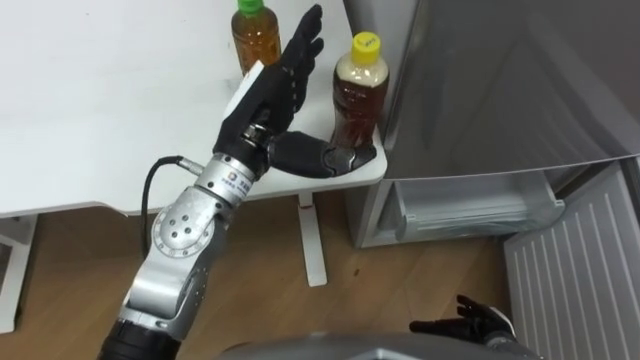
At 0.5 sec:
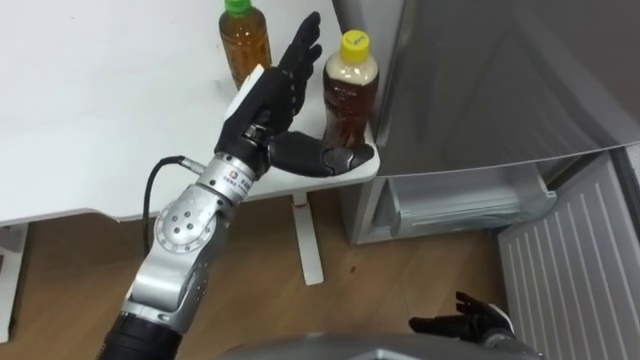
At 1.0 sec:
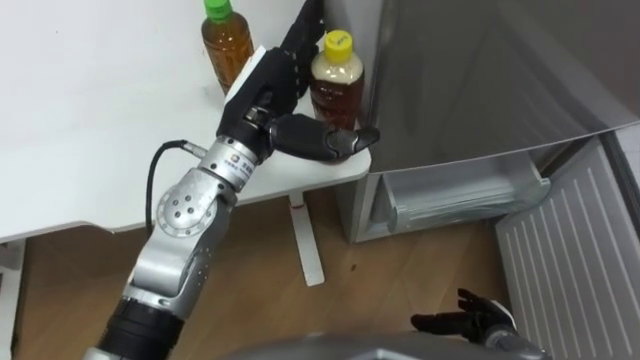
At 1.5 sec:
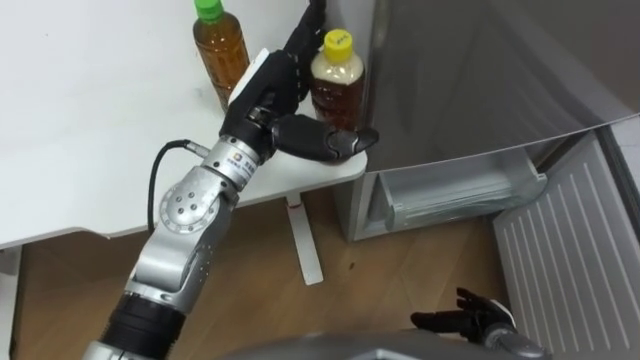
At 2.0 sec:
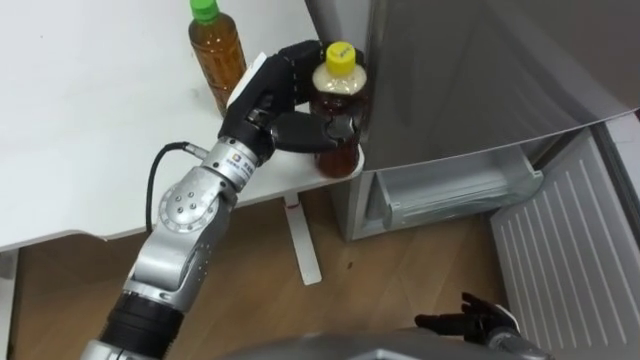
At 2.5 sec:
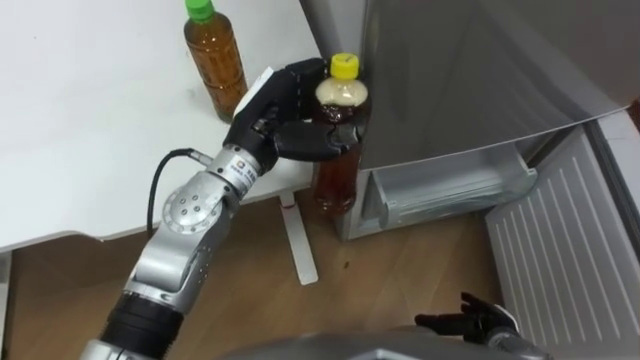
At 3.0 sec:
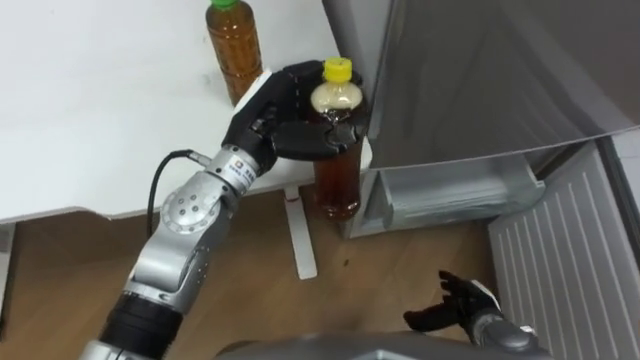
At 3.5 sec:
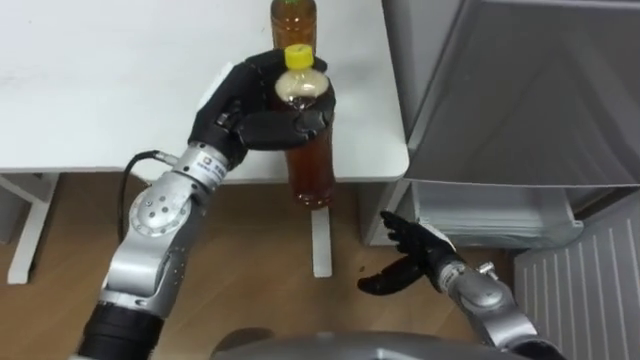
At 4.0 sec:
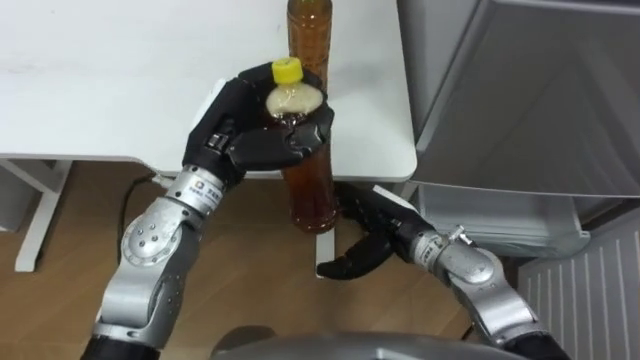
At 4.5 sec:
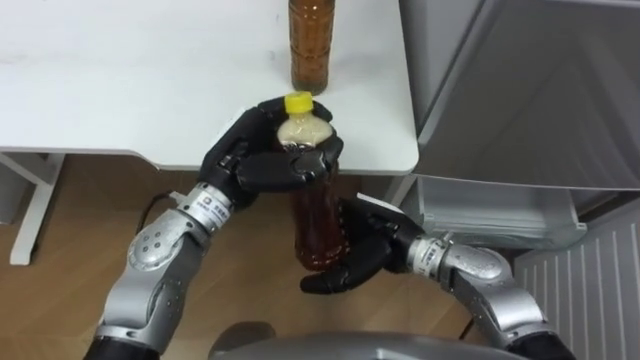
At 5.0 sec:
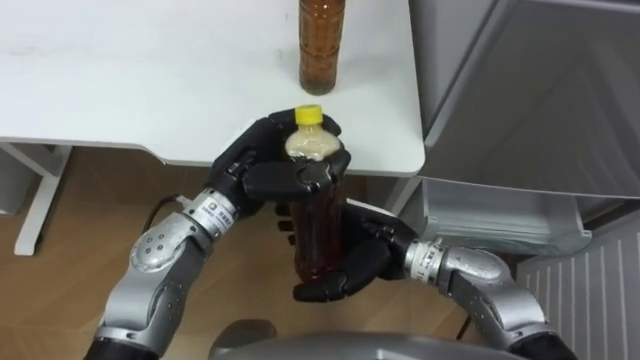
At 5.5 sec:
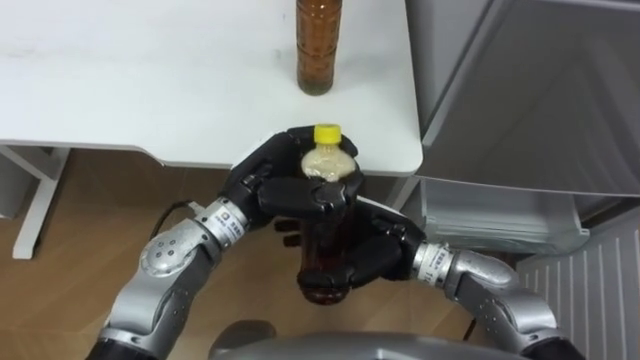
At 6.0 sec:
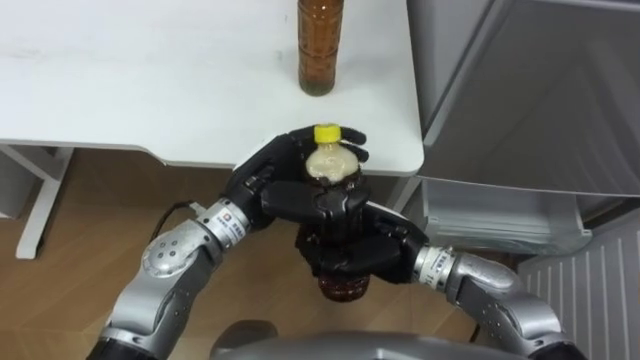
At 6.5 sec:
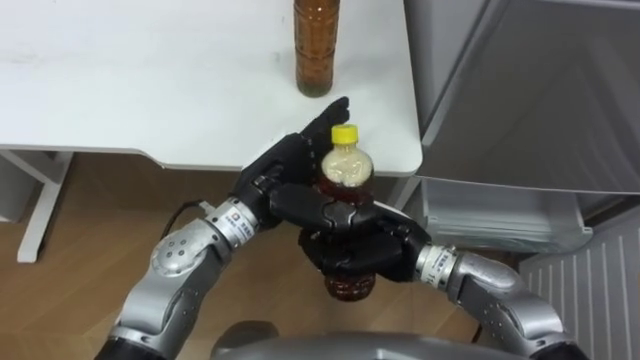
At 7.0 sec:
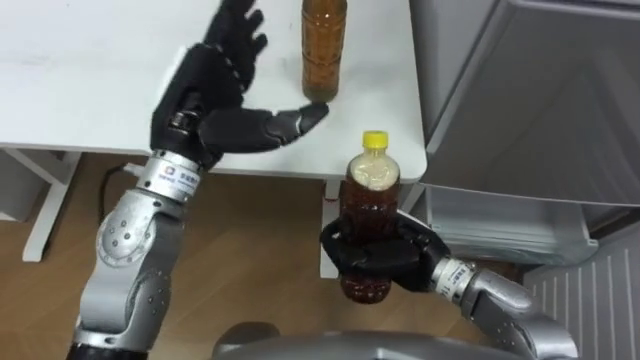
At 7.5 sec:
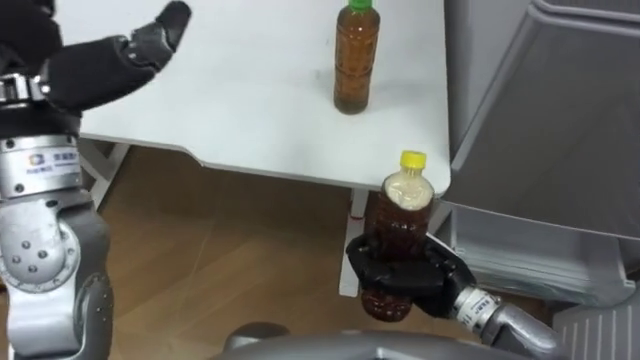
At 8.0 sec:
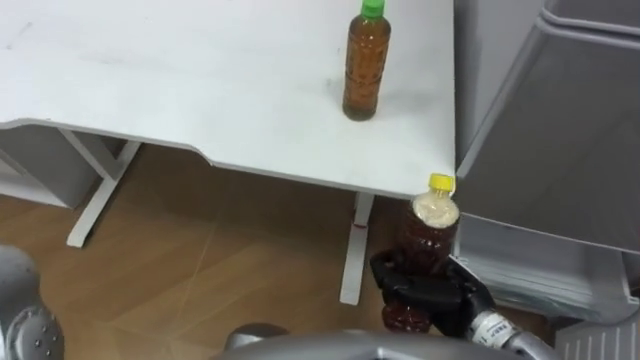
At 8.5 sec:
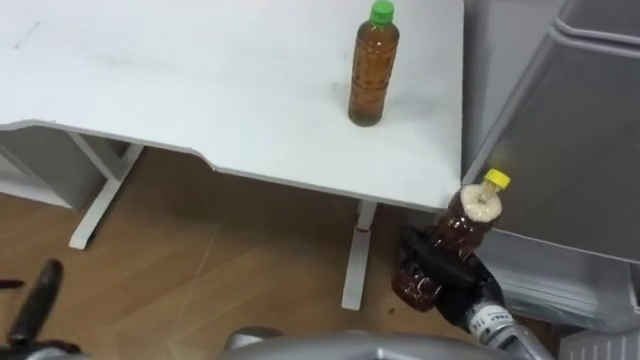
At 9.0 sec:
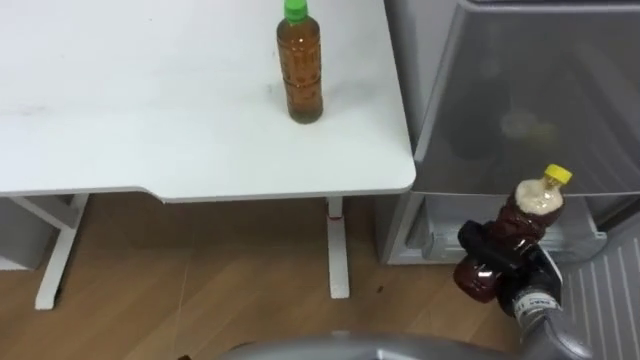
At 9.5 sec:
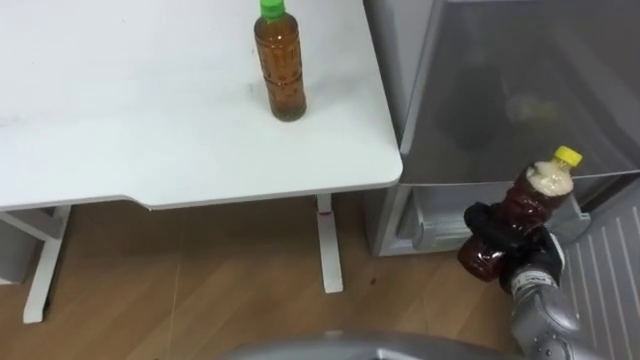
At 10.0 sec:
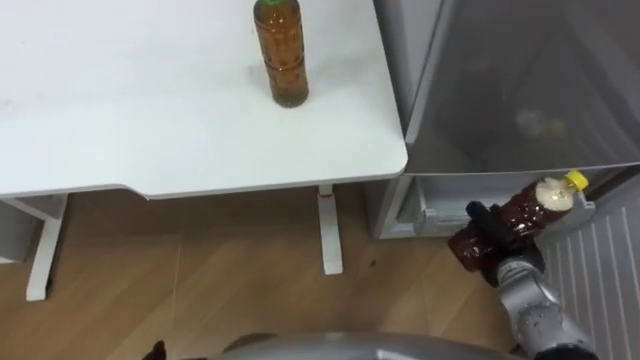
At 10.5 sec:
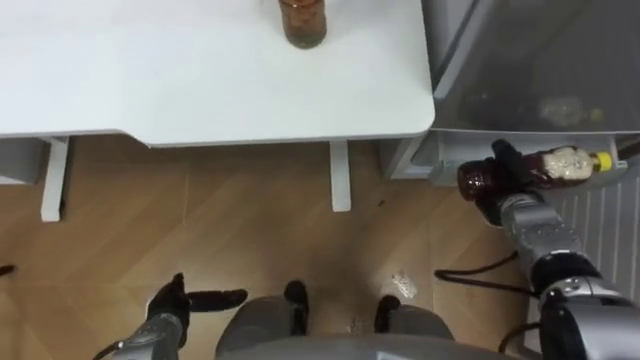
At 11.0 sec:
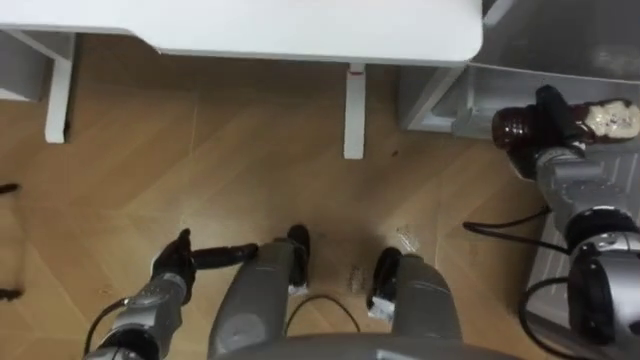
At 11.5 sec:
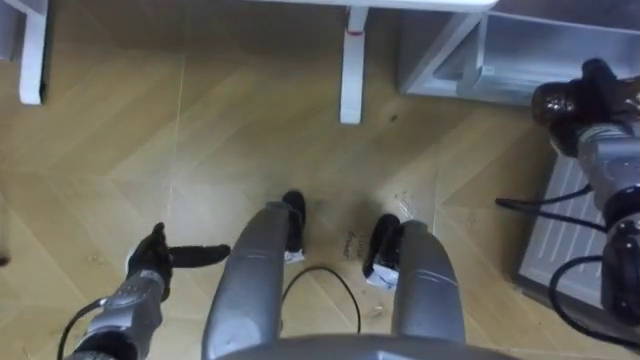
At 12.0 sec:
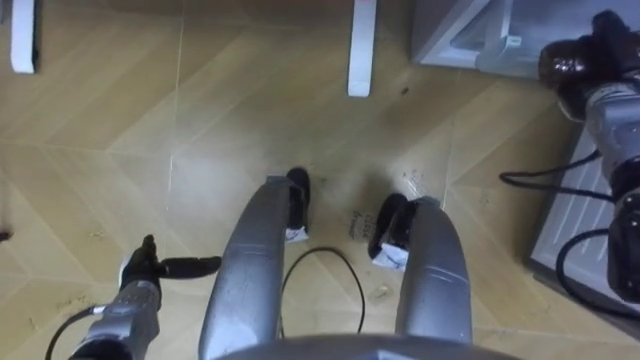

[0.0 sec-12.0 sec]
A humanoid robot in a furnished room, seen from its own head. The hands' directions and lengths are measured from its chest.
Task of the whole recording: Place the drink on the table on the bottom shelf of the refrigerator, then close the drawer and the refrigerator door.
0.0 sec to 2.0 sec: The left hand closes.
2.0 sec to 4.0 sec: The right hand is displaced to the left, forward and upward by roughly 25 cm.
4.0 sec to 6.0 sec: The right hand changes place by approximately 5 cm, and closes its fingers, while the left hand heads downward, covering approximately 5 cm.
6.0 sec to 8.0 sec: The right hand moves to the right, backward and downward, approximately 10 cm.
8.0 sec to 10.0 sec: The right hand travels to the right by approximately 10 cm.
10.0 sec to 12.0 sec: The right hand moves forward, upward and to the right, some 25 cm.

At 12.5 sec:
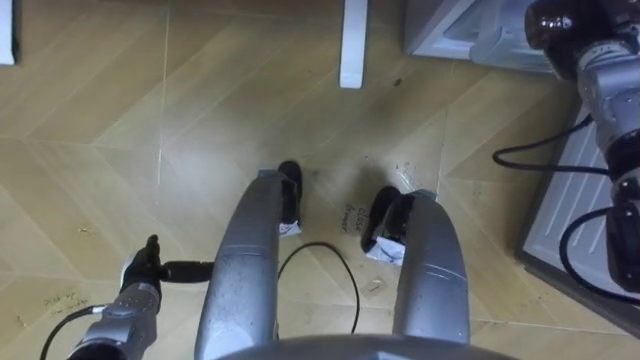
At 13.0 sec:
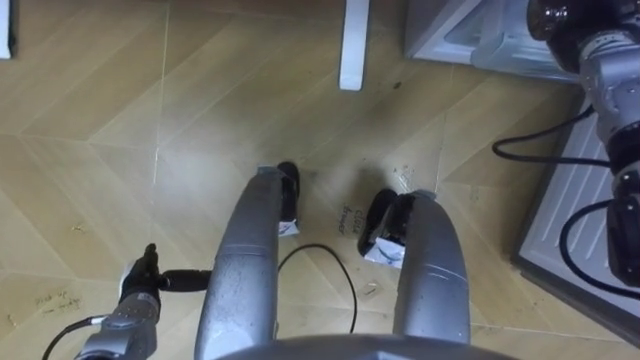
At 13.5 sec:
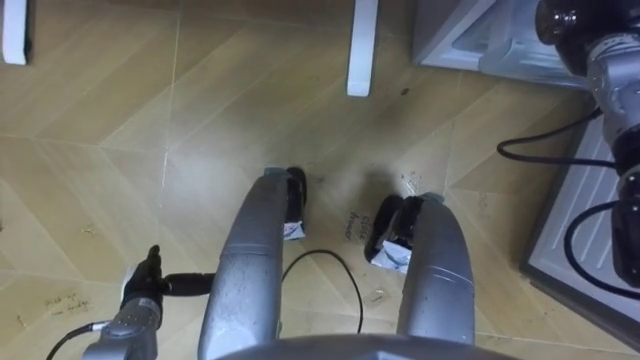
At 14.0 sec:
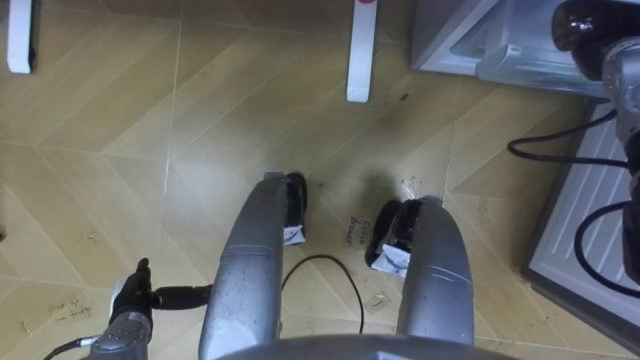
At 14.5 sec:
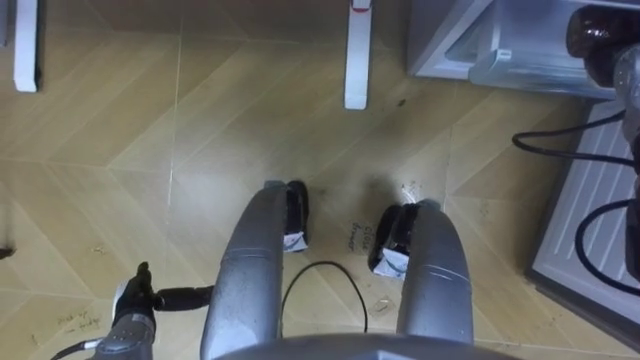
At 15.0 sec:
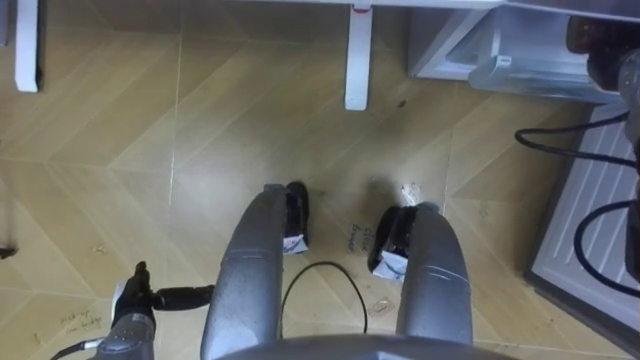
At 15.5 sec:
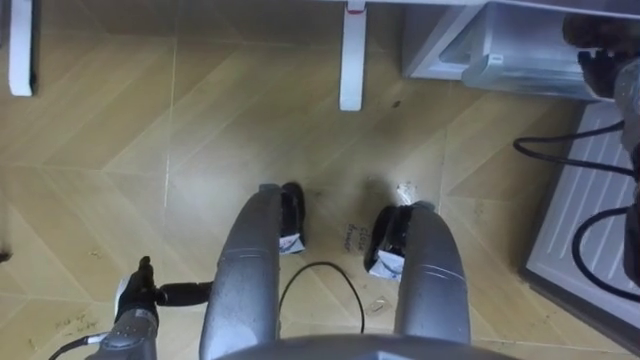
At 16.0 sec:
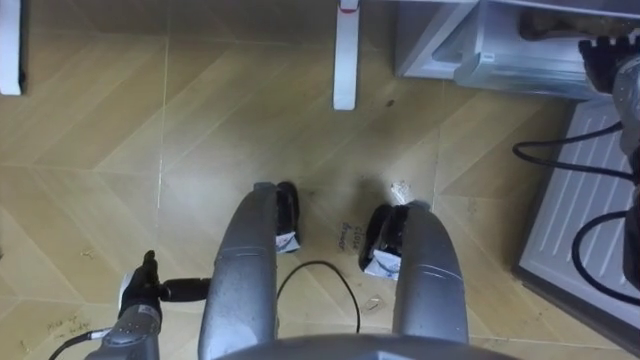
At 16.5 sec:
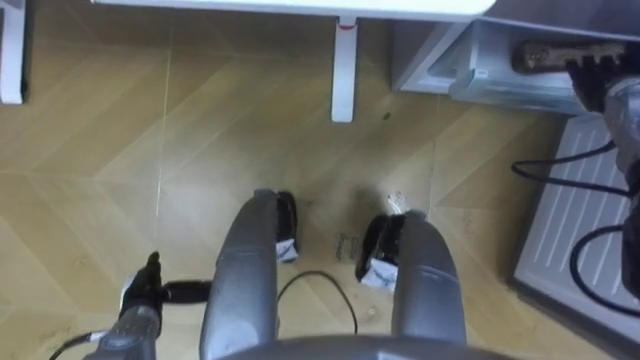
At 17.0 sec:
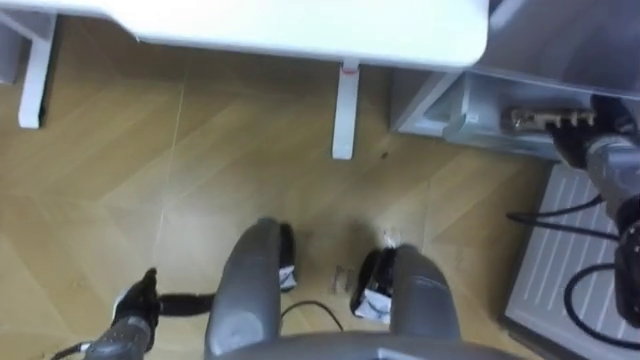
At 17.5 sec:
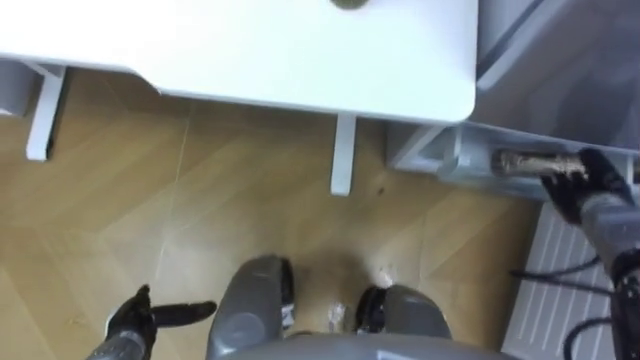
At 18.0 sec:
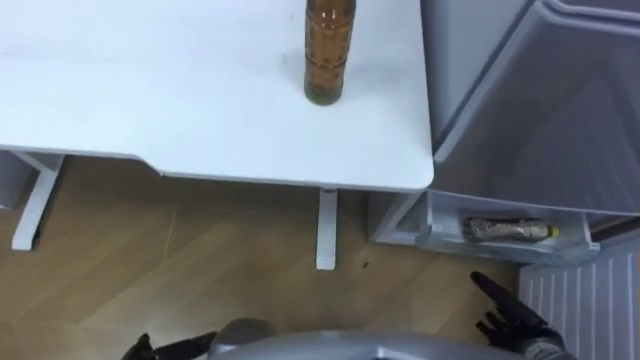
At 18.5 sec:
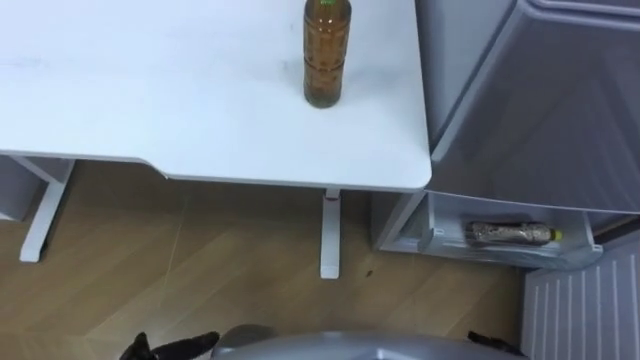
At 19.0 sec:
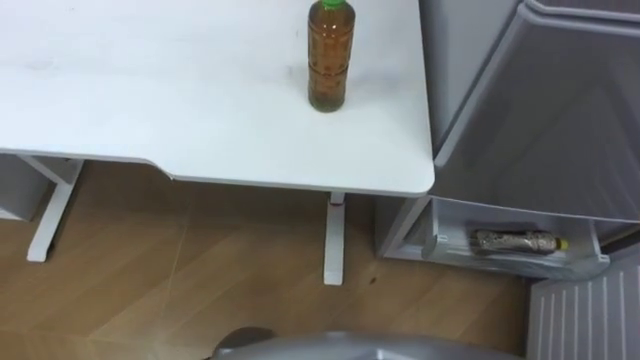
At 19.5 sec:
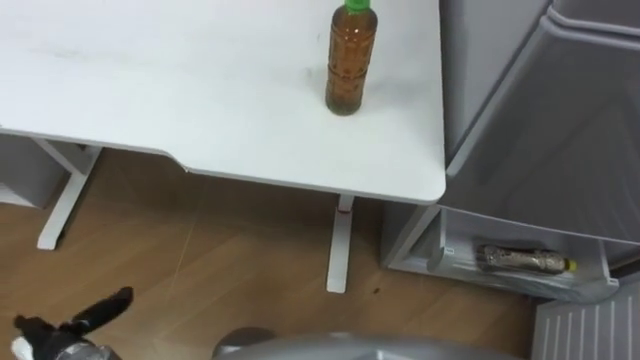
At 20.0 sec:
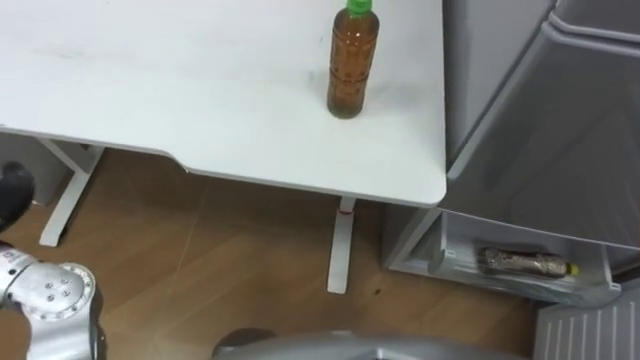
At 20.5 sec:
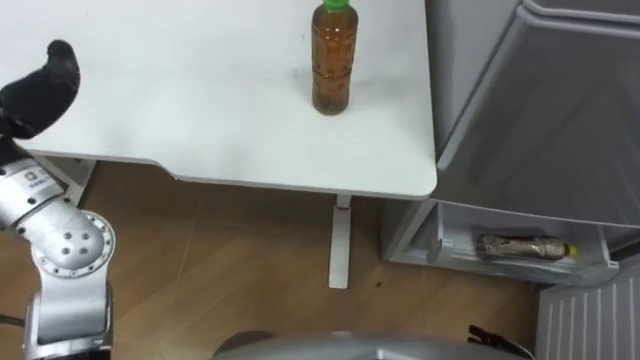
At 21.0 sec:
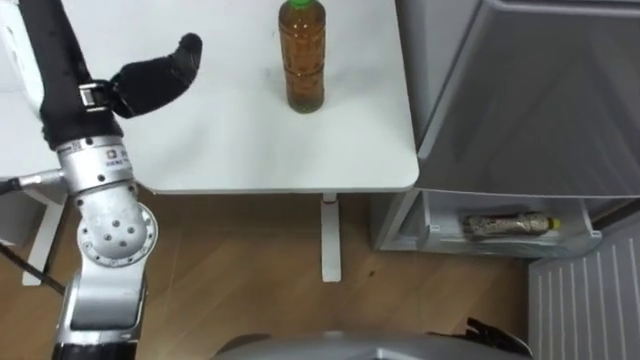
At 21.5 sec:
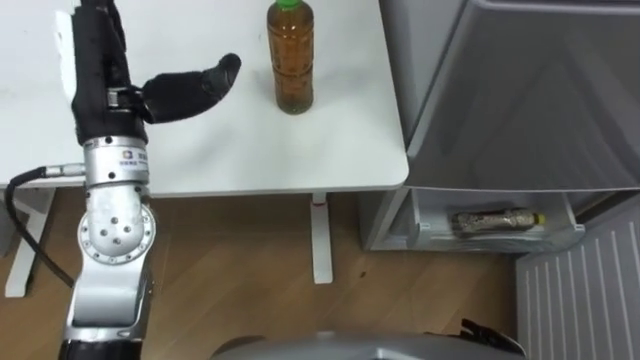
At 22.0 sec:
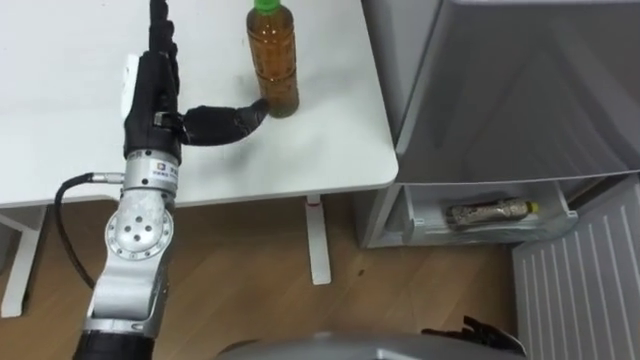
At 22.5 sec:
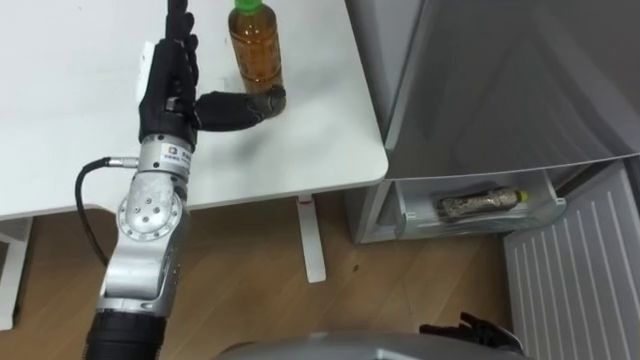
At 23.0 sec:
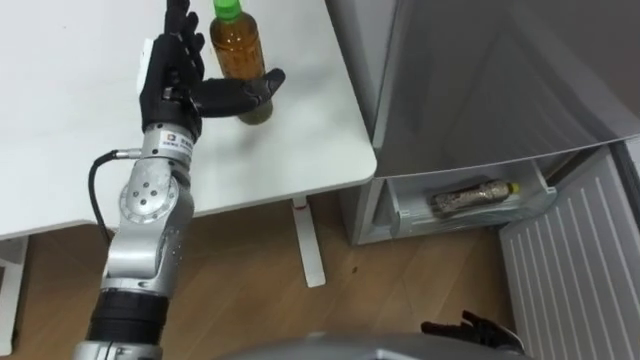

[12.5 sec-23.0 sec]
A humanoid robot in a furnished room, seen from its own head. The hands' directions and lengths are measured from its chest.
Task of the whole recording: Place the drink on the table on the bottom shelf of the refrigerator, then close the drawer and the refrigerator door.
14.5 sec to 16.5 sec: The right hand opens up.
21.0 sec to 23.0 sec: The left hand travels downward, forward and to the right by about 15 cm.
